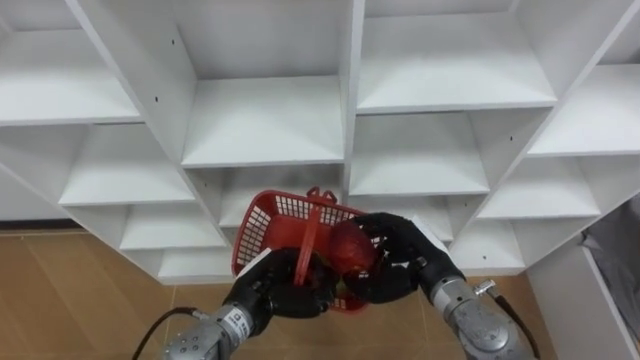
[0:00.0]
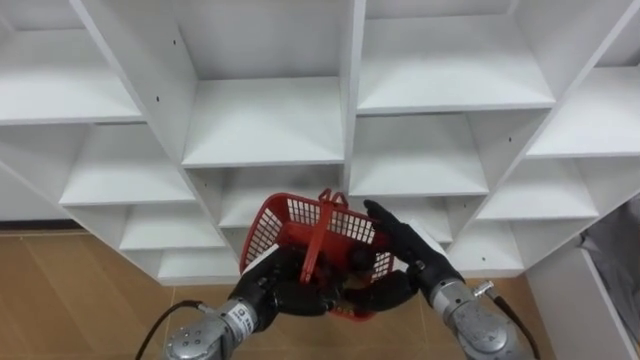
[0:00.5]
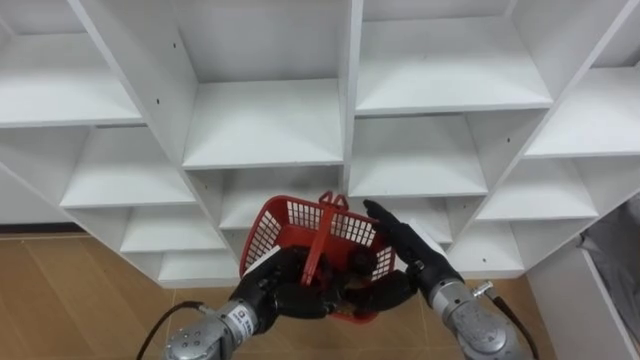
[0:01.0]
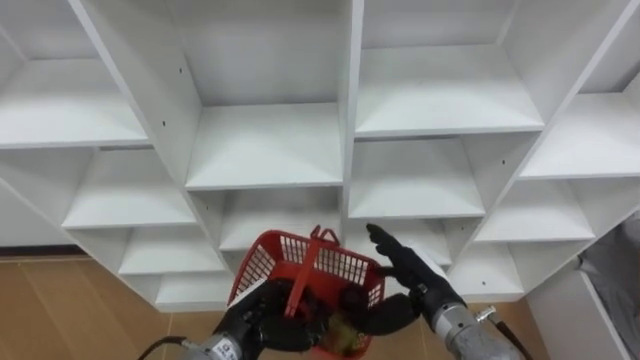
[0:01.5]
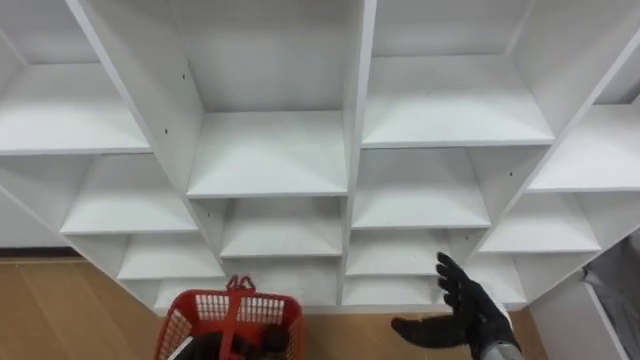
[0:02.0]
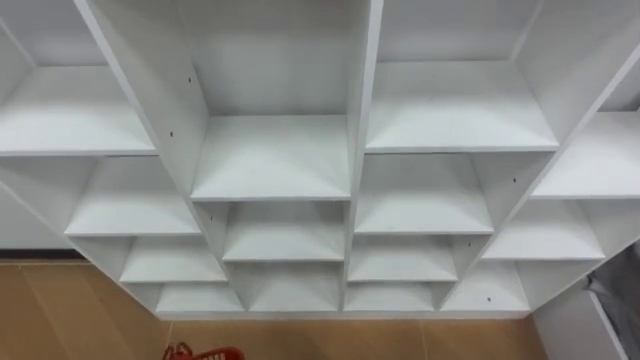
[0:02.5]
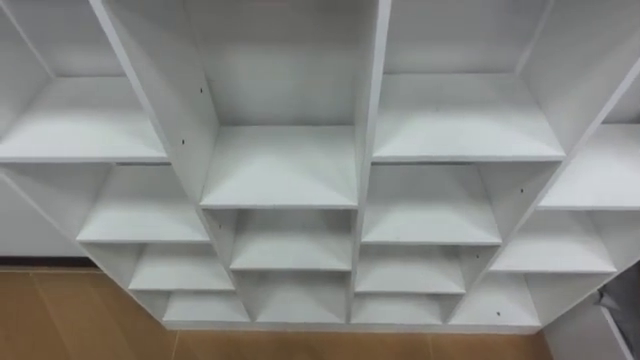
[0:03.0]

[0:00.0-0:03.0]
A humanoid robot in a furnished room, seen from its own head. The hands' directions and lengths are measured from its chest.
Task of the whole recording: Hold the basket and collect the fruits from 3 different cells of the closet into it.
0:00.0 to 0:01.5: The right hand opens up.

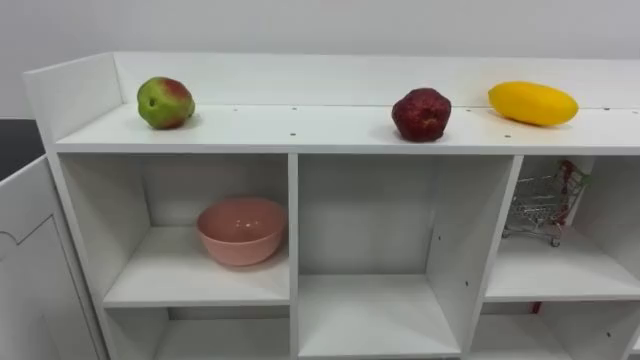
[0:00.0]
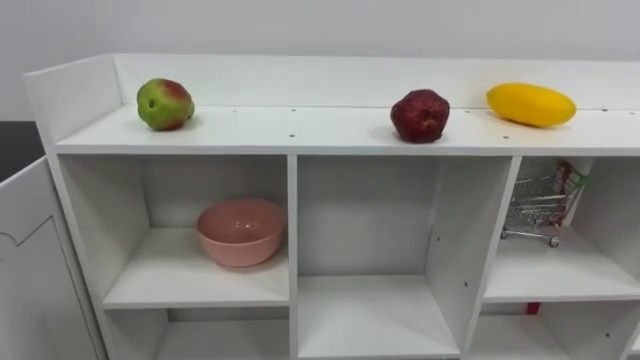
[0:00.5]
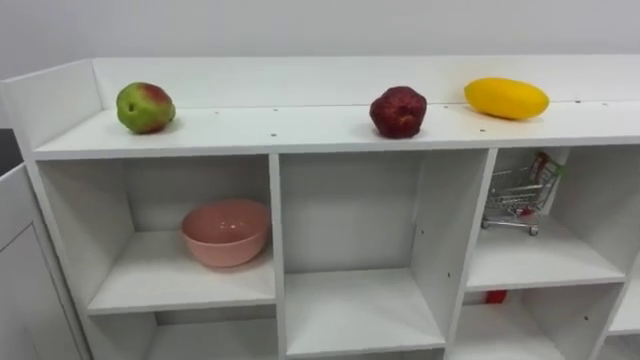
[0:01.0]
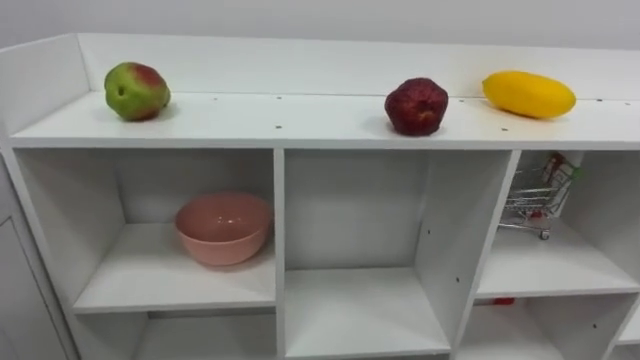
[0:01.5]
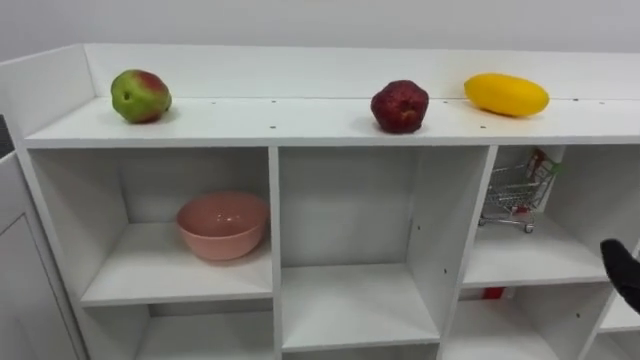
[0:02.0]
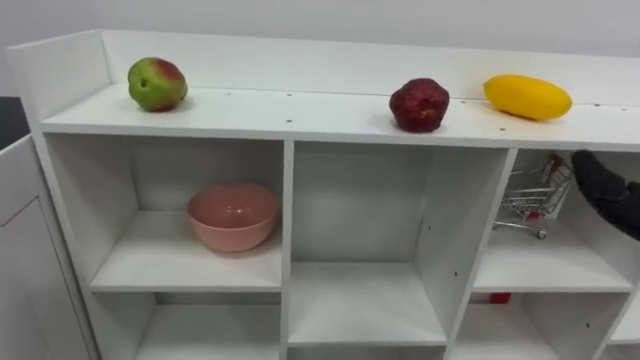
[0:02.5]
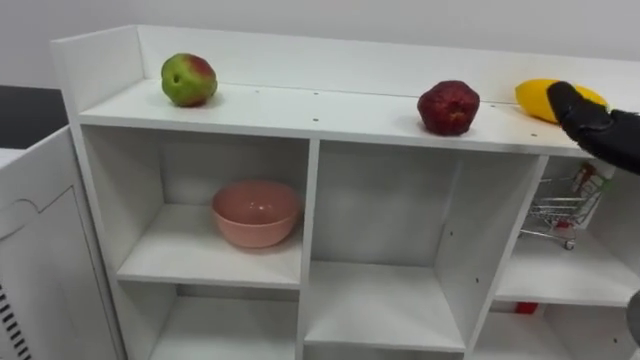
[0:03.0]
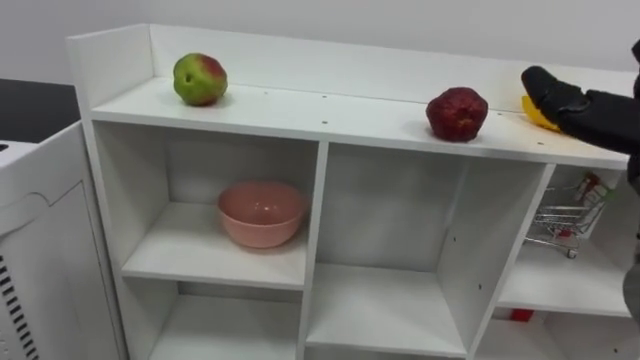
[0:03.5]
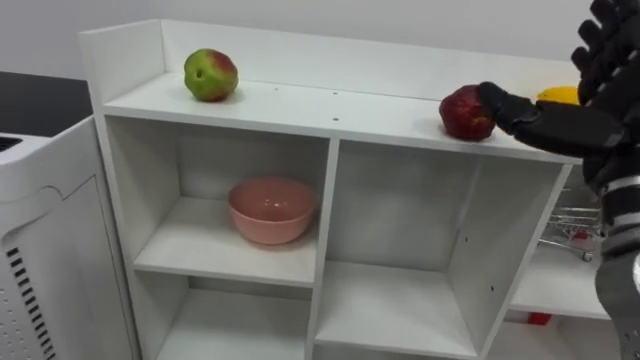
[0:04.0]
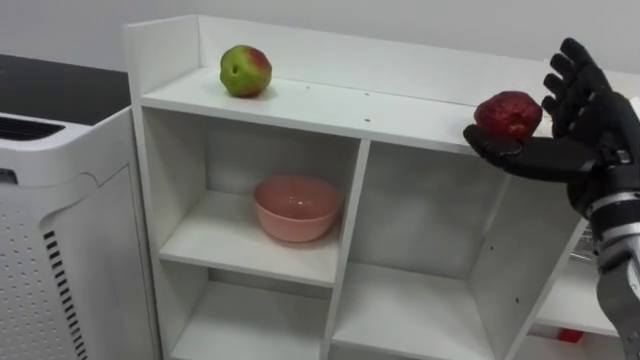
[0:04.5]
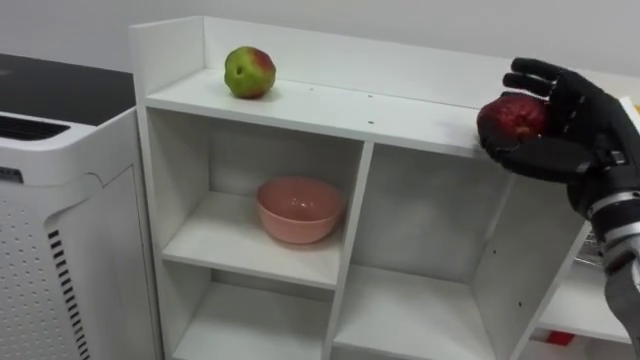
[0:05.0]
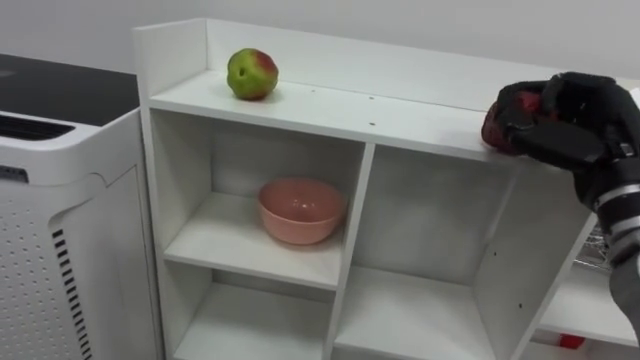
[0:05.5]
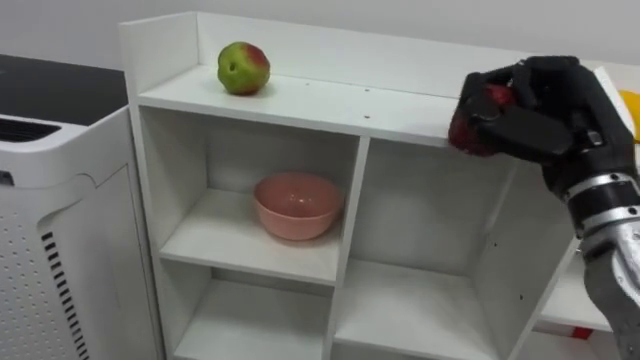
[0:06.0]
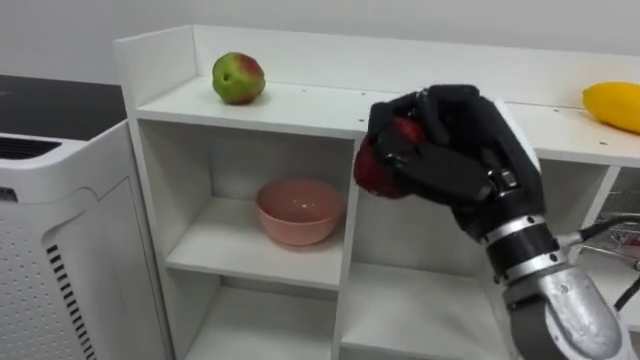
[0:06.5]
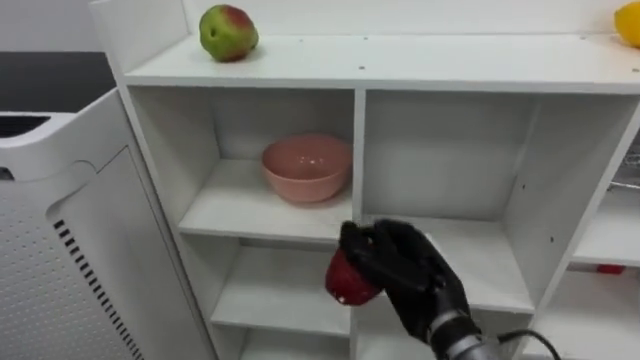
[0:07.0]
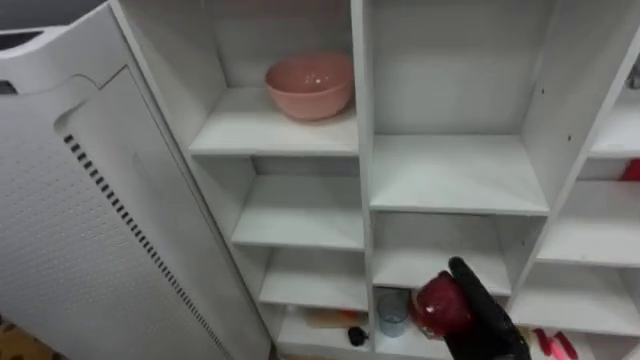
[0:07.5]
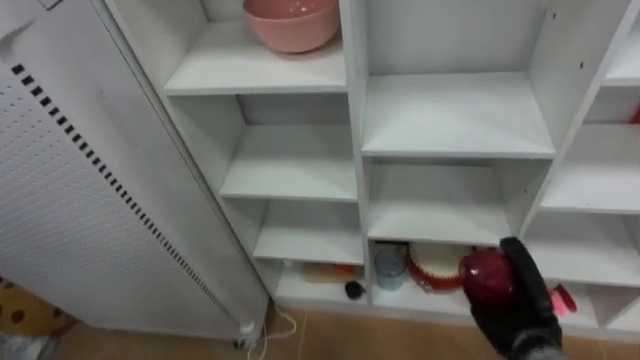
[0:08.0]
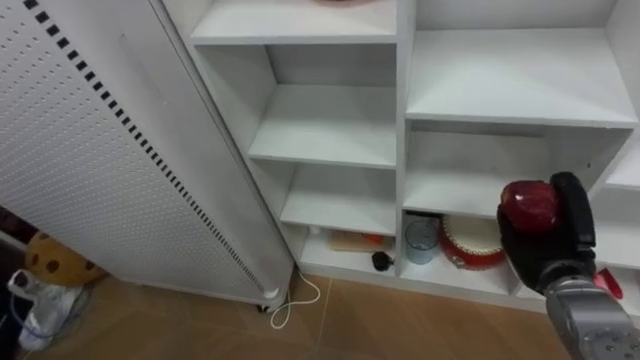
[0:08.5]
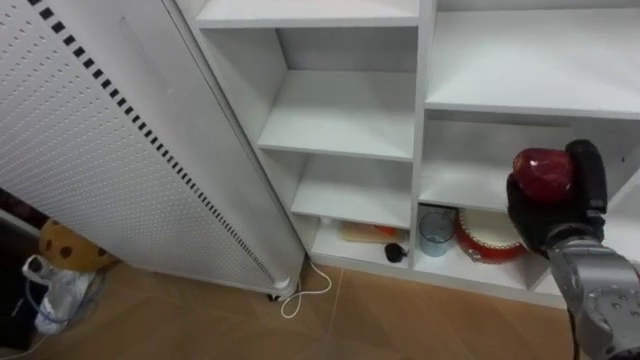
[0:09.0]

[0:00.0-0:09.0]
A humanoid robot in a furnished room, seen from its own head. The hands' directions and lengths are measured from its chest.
Task of the whole recording: Put the apple in the cell in the second column from the left and the second row from the top.
0:04.5 to 0:07.0: The right hand goes about 20 cm to the left and downward, and closes its fingers.
0:07.0 to 0:09.0: The right hand is displaced to the right and forward by roughly 20 cm.

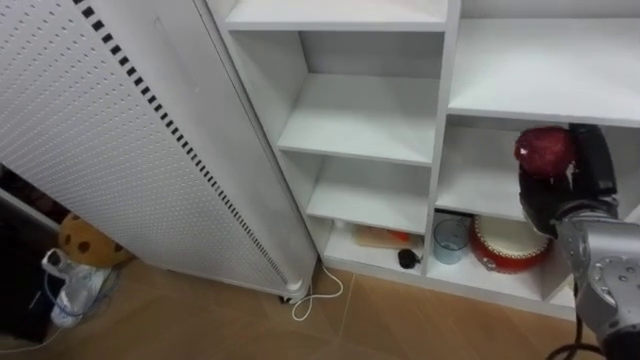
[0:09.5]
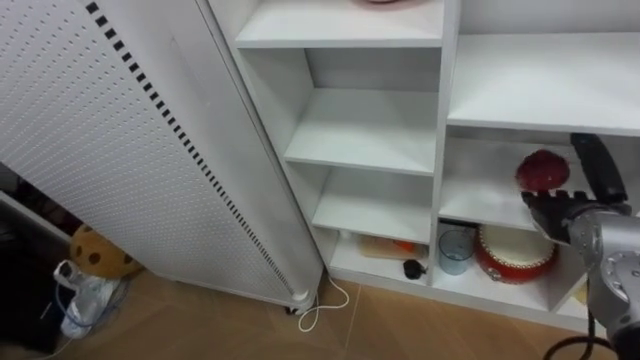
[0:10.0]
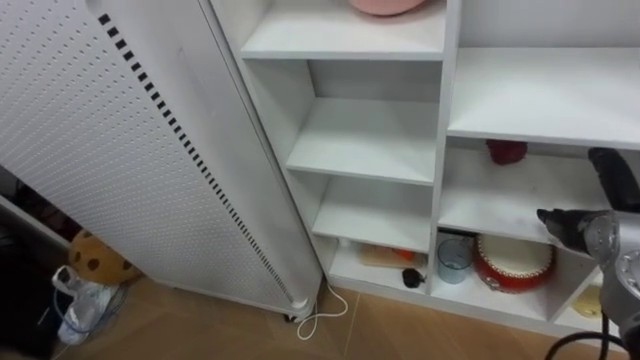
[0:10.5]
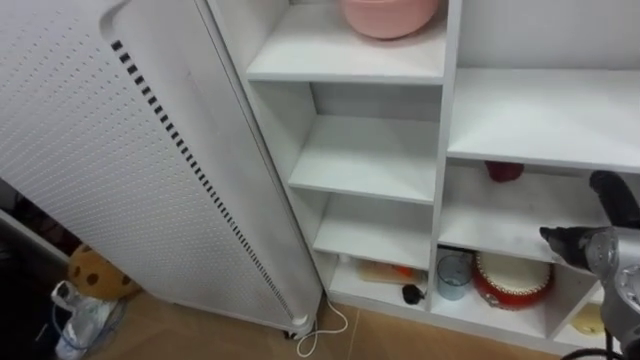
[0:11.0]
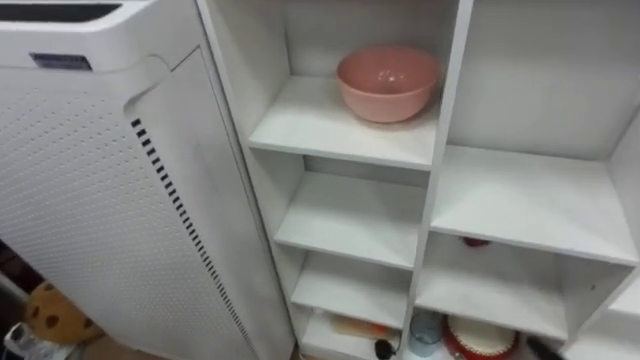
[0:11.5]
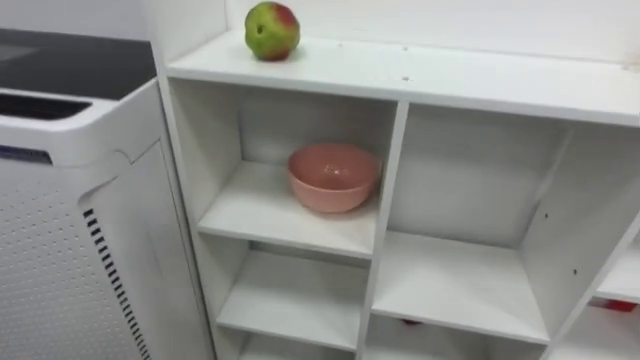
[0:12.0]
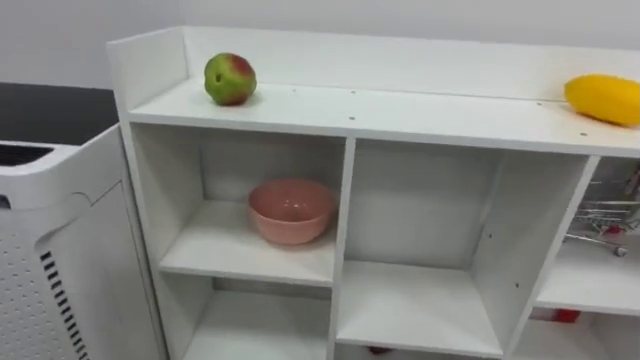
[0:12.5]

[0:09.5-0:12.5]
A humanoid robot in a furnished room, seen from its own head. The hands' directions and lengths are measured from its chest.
Task of the whole recording: Put the apple in the cell in the second column from the left and the second row from the top.
0:09.5 to 0:11.0: The right hand moves some 5 cm, and opens its fingers.

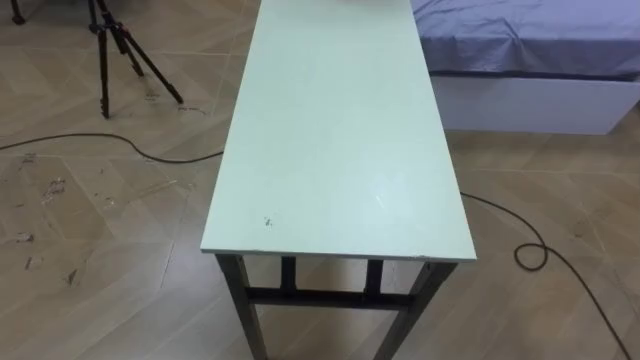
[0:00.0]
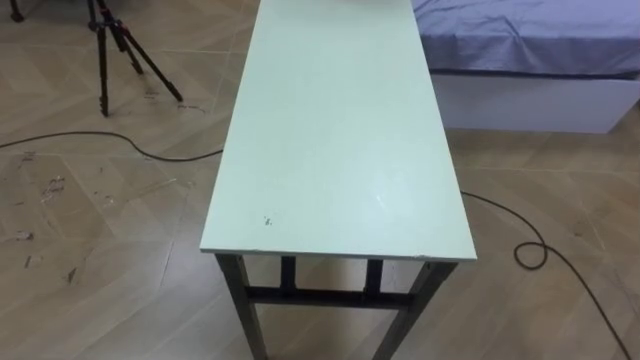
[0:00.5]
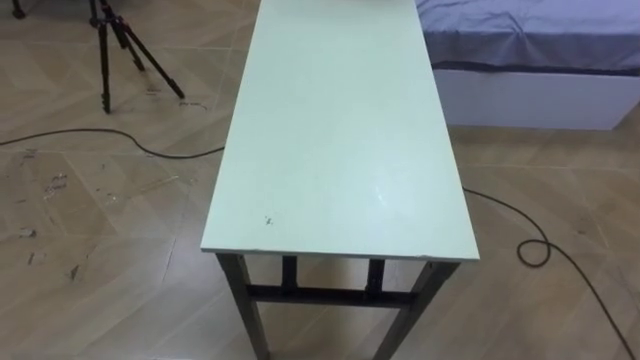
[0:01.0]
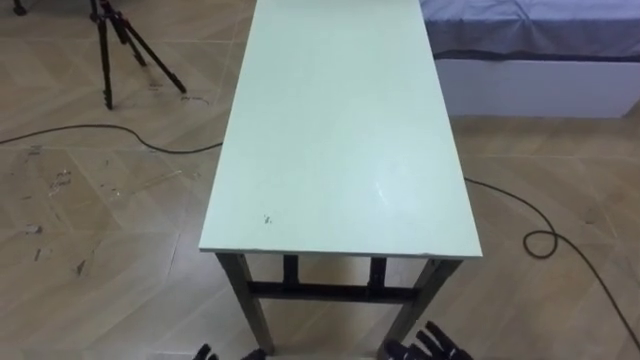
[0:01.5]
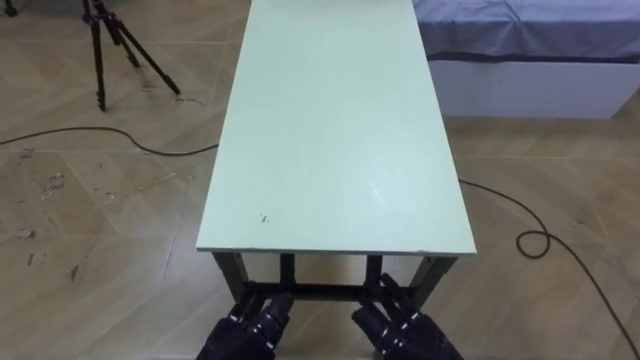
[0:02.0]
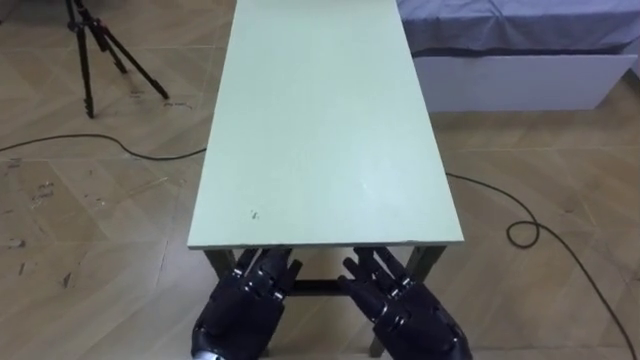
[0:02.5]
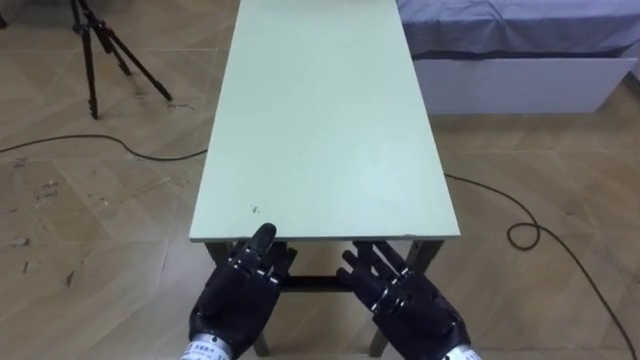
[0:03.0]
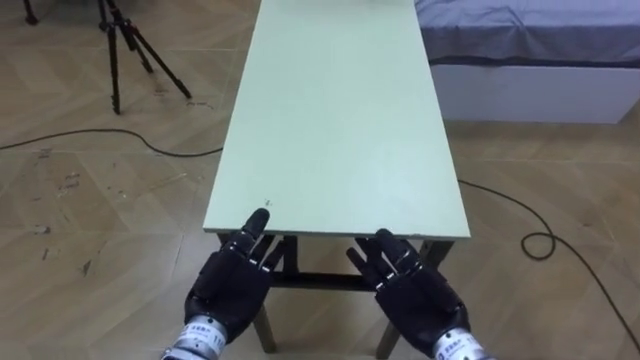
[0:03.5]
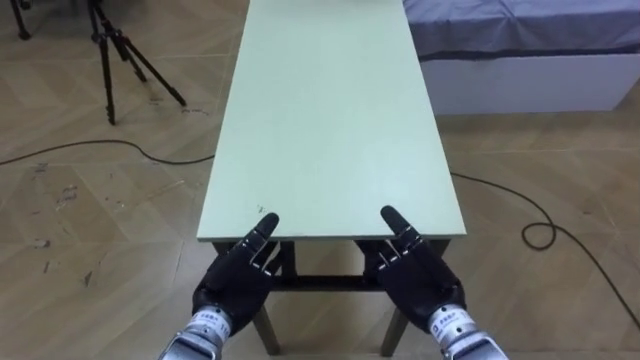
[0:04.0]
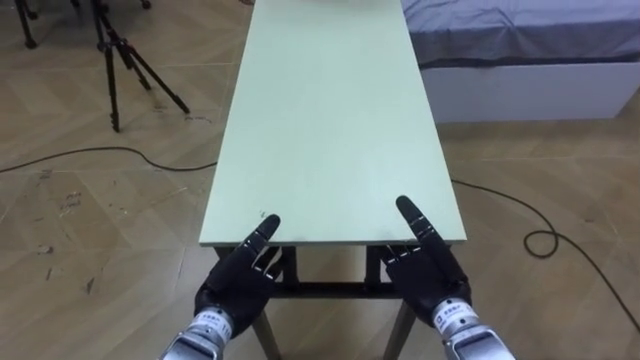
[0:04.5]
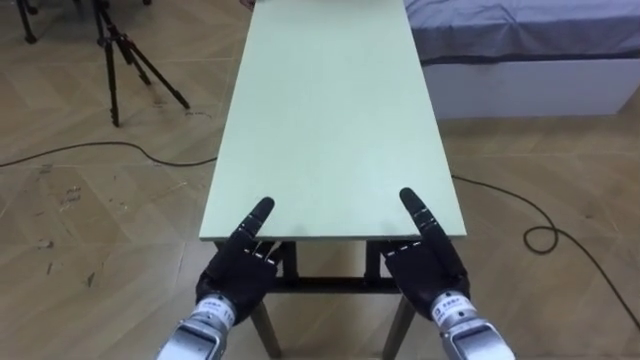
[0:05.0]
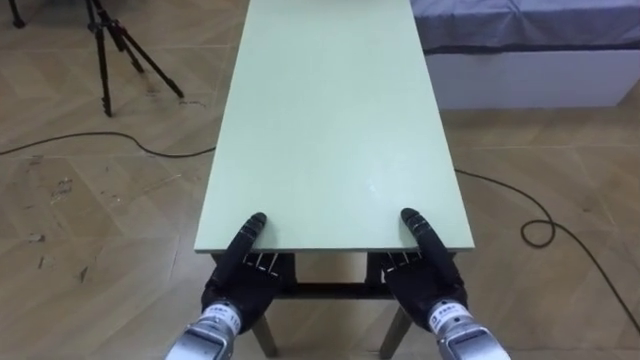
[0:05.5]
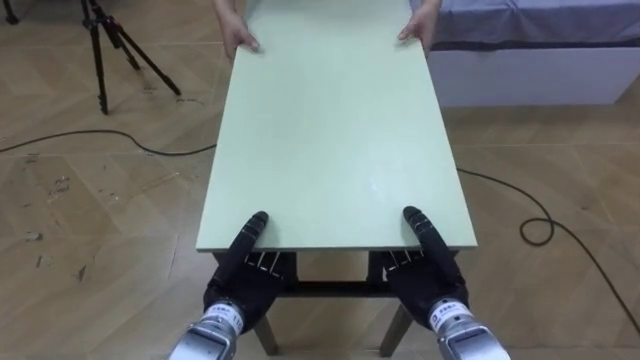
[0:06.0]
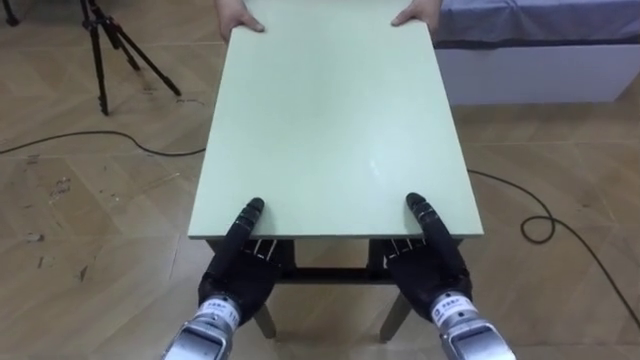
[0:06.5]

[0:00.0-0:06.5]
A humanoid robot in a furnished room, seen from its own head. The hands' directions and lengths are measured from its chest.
Task of the whole recording: Move the table to the back left with someone.
0:02.0 to 0:04.5: The two hands go approximately 10 cm forward.
0:04.5 to 0:06.5: The left hand closes, while the right hand closes its fingers.
